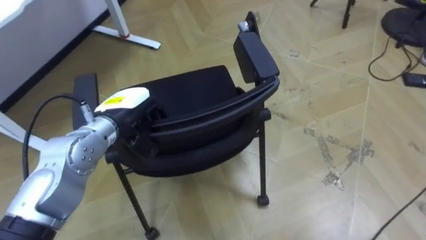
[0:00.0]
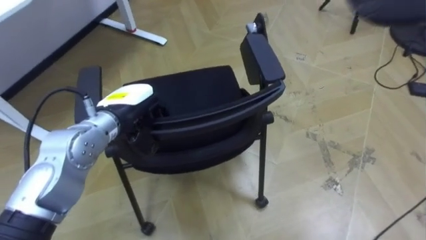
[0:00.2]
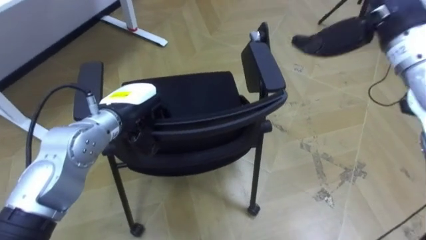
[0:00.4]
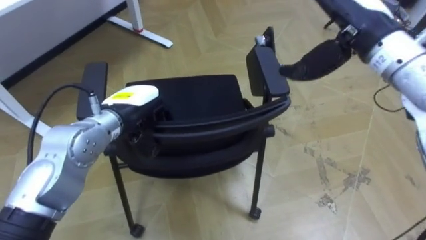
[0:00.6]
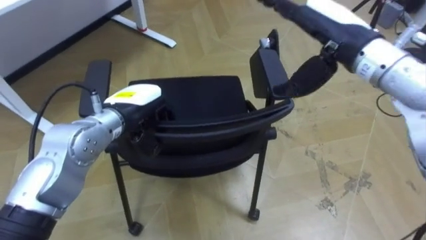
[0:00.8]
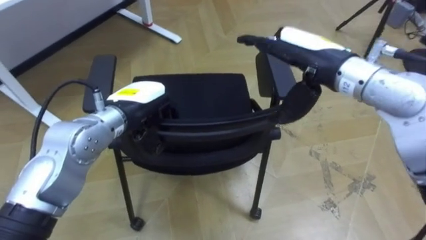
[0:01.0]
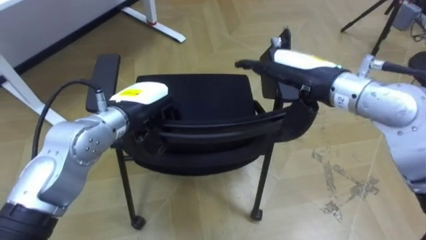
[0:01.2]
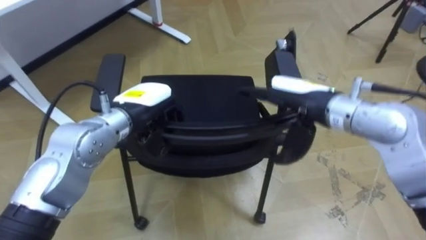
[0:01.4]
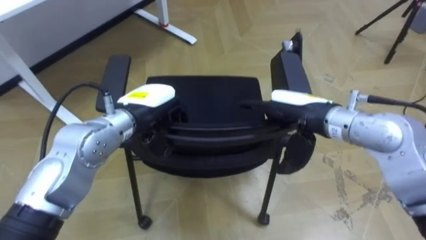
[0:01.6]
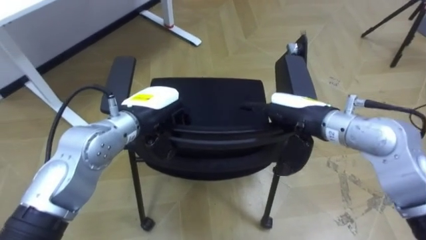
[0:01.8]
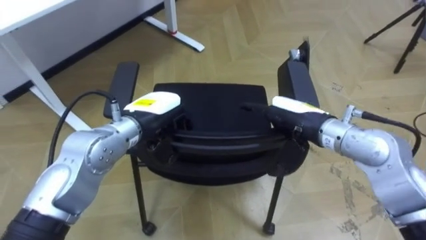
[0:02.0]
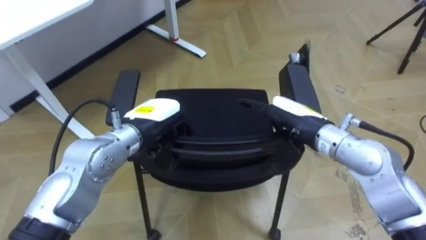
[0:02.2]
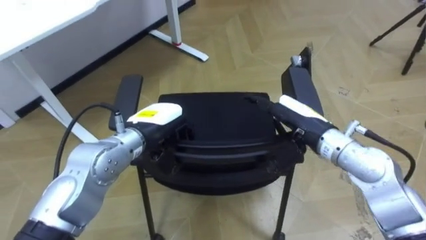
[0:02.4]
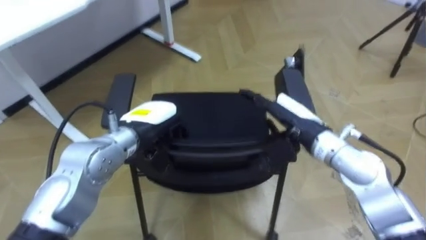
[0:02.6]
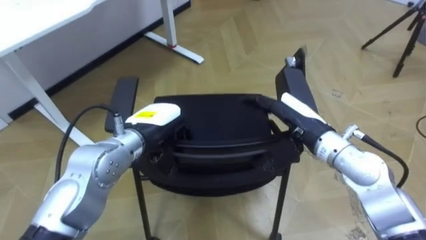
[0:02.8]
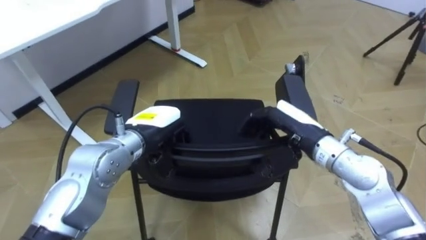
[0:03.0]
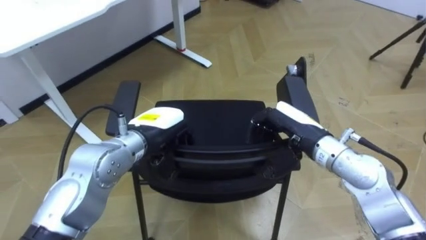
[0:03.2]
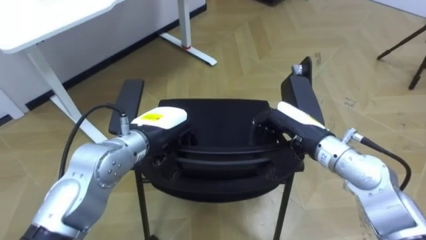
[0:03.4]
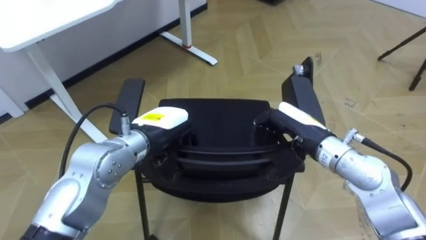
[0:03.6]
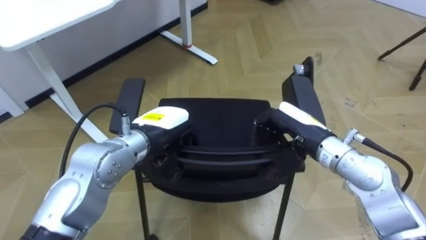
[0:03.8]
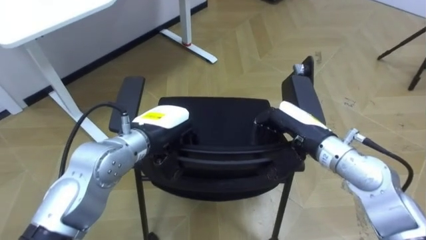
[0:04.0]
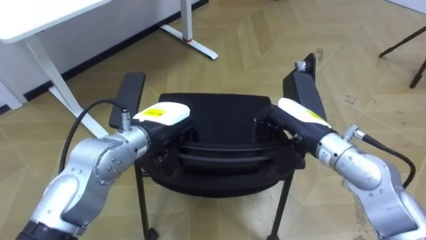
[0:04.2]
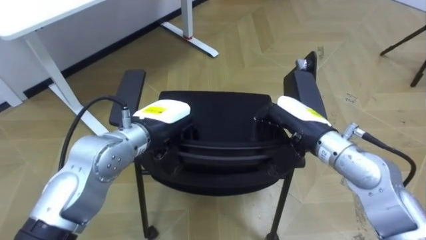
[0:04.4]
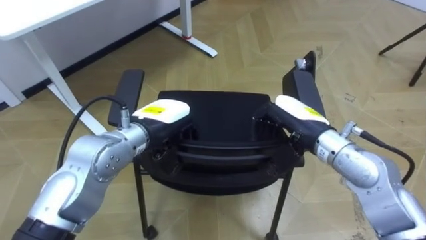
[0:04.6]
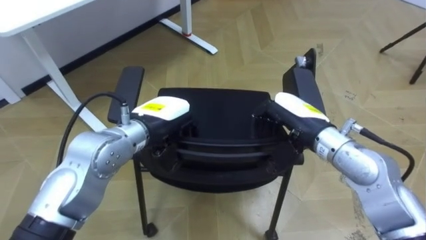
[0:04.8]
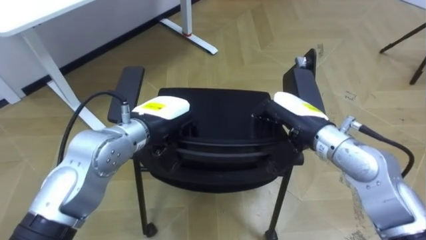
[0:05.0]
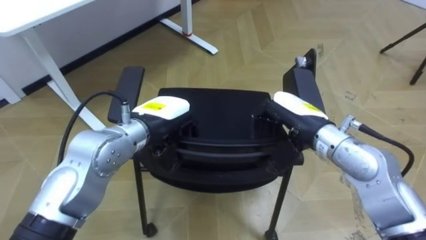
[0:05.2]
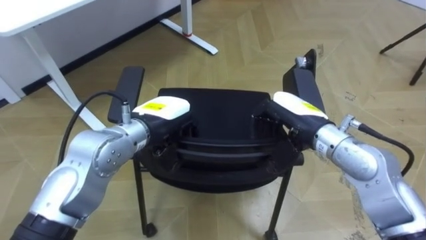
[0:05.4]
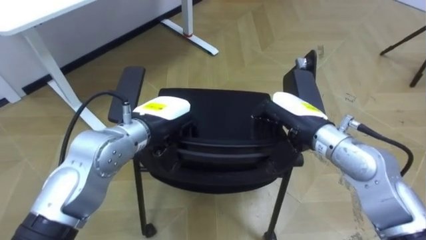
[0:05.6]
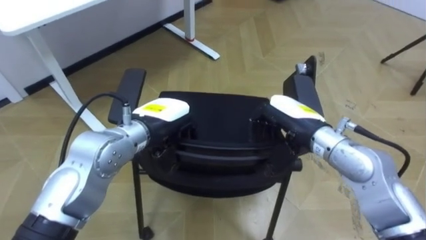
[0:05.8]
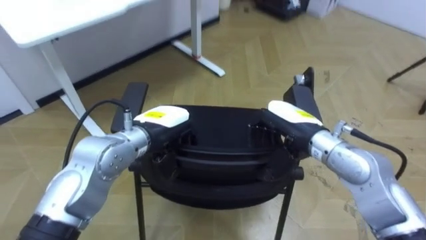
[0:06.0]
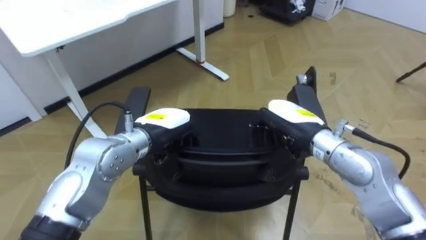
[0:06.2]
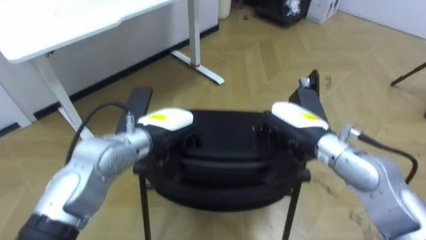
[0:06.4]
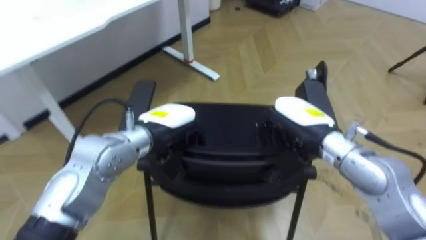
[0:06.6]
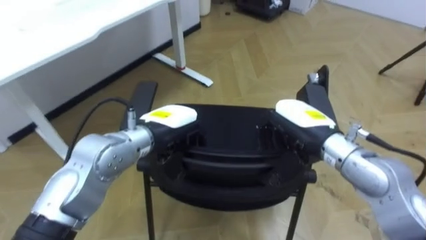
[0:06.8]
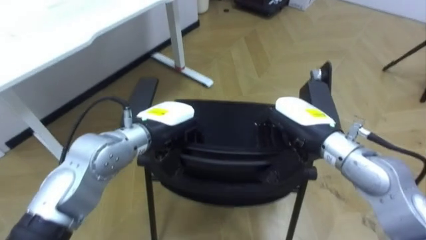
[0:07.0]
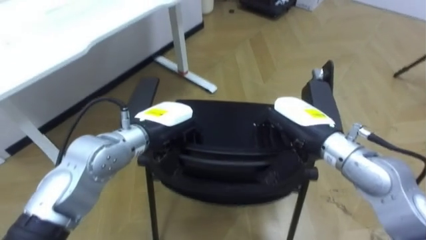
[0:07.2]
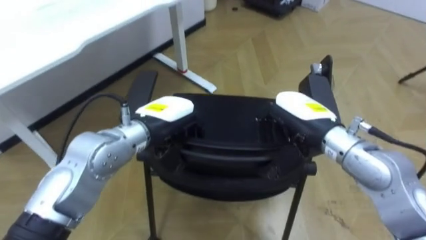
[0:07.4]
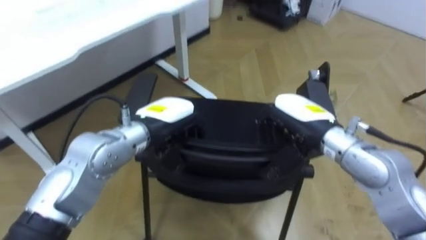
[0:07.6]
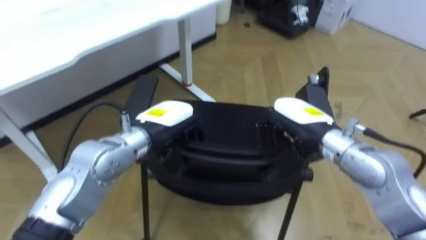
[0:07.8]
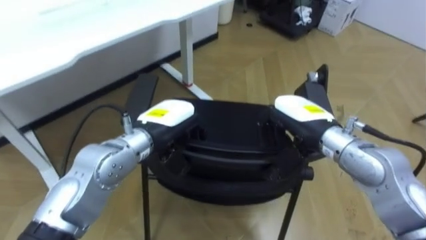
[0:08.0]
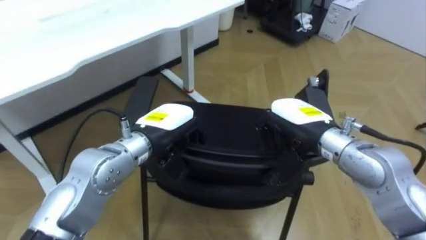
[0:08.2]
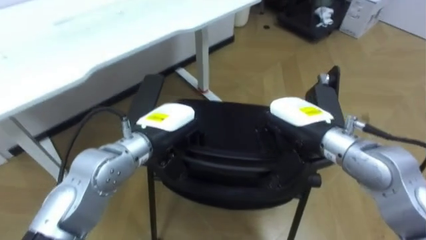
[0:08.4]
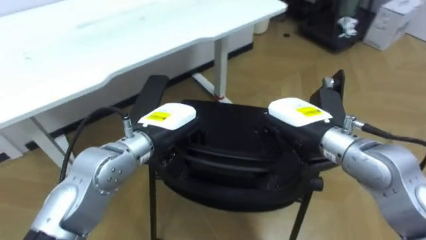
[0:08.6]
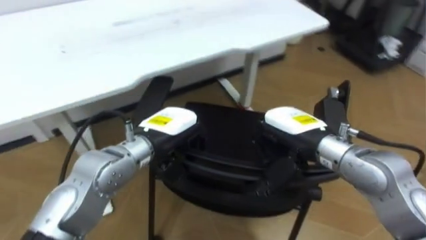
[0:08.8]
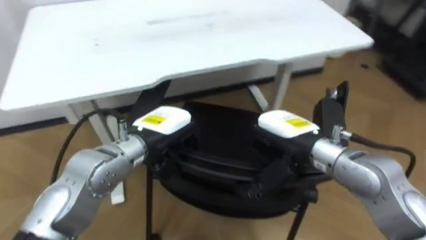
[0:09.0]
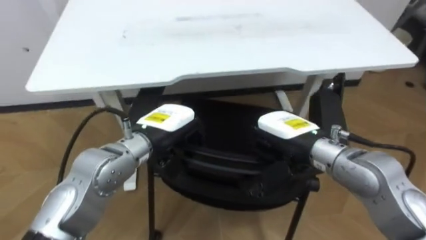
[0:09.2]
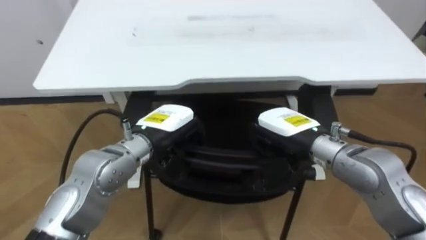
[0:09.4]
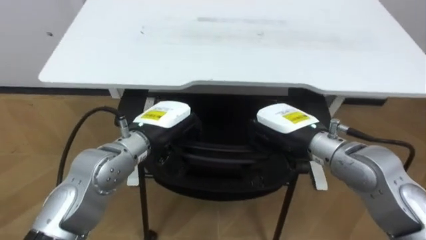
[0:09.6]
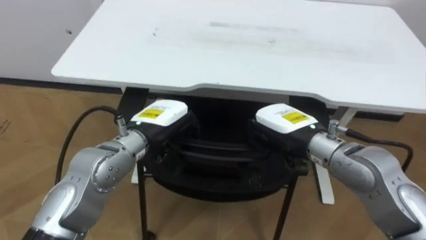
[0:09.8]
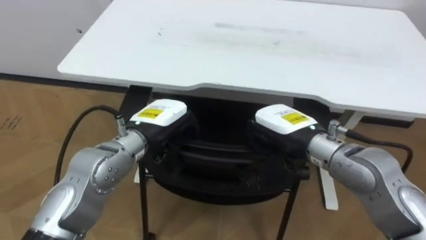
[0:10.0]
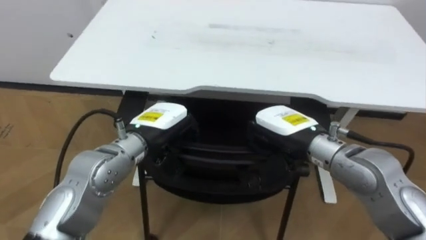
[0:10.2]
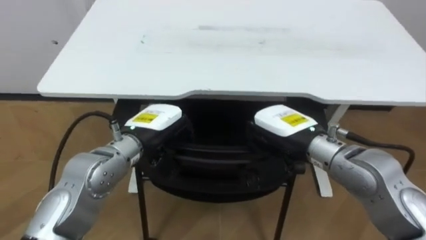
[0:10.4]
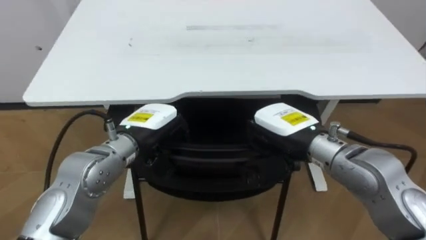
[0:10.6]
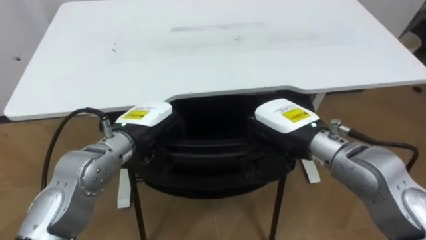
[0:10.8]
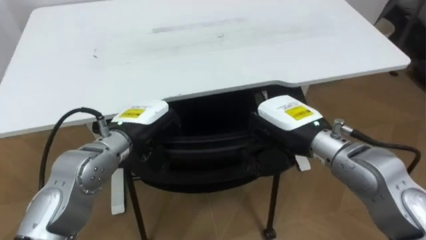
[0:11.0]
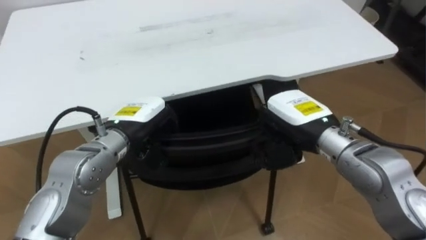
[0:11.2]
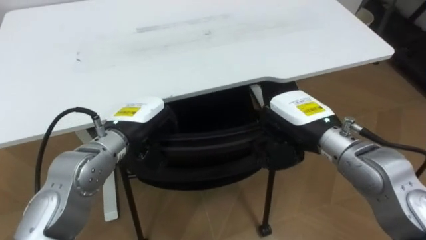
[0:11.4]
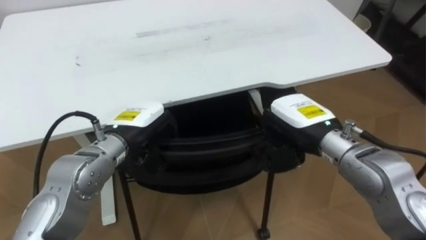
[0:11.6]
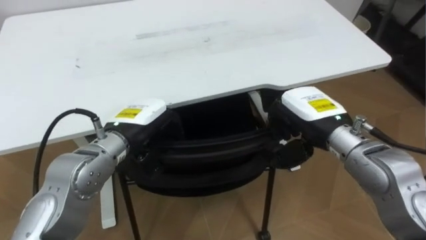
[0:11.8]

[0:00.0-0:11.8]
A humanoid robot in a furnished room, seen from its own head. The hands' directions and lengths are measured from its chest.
Task of the whole recording: Push the chair under the table.
0:01.4 to 0:03.0: The right hand heads downward, covering about 5 cm, and closes up.
0:07.4 to 0:08.8: The robot's body swings some 20 degrees to its left.
0:08.8 to 0:10.4: The robot's body swings some 25 degrees to its left.
0:10.4 to 0:11.8: The robot turns to its right by some 20 degrees.

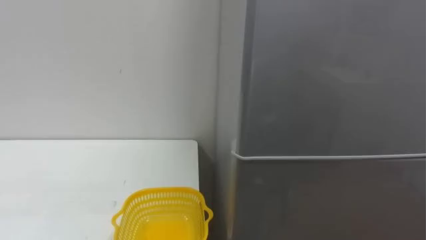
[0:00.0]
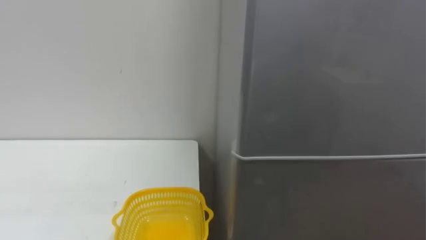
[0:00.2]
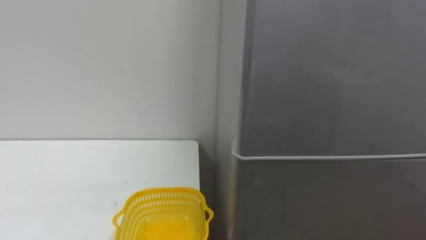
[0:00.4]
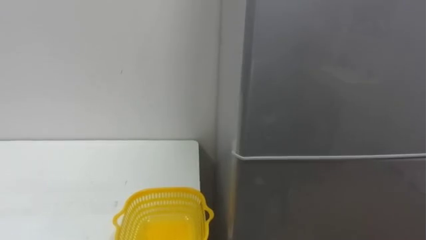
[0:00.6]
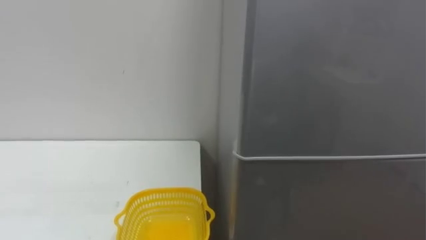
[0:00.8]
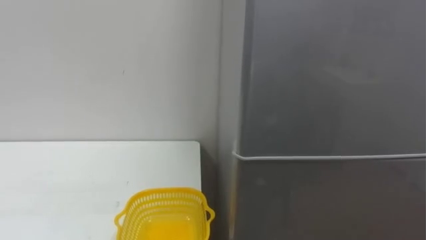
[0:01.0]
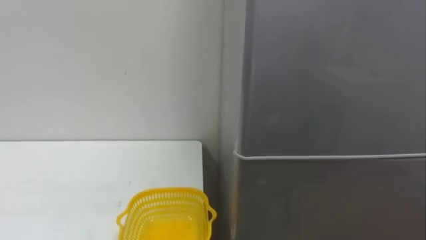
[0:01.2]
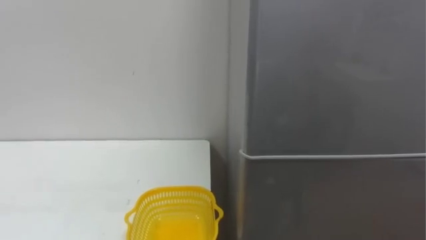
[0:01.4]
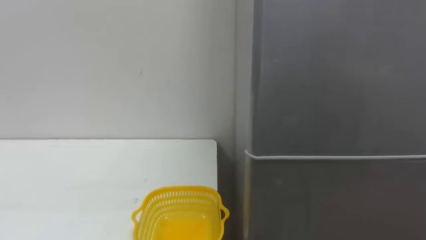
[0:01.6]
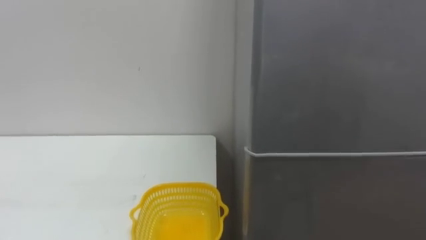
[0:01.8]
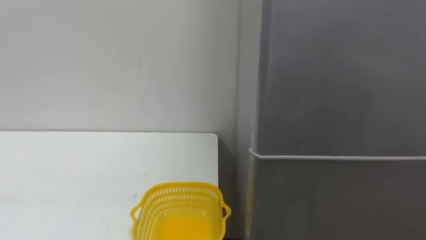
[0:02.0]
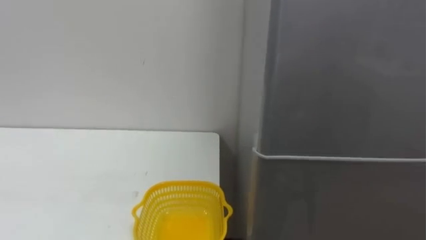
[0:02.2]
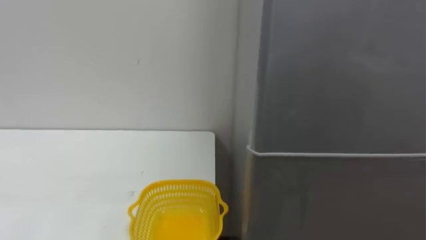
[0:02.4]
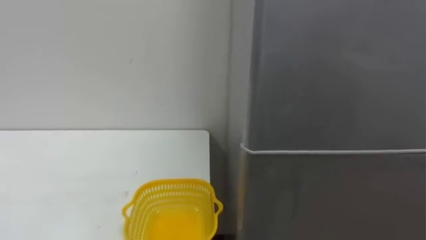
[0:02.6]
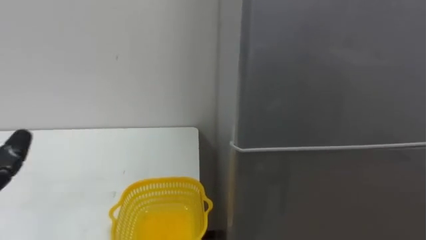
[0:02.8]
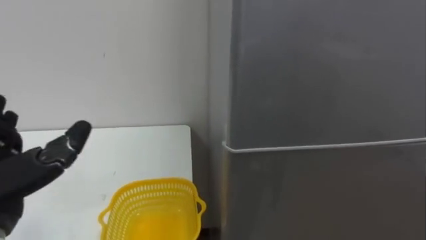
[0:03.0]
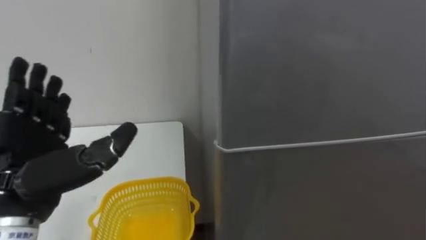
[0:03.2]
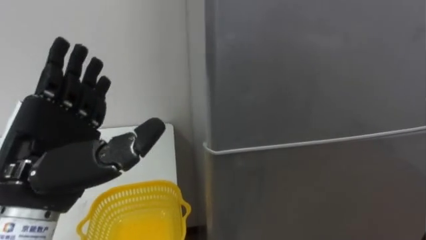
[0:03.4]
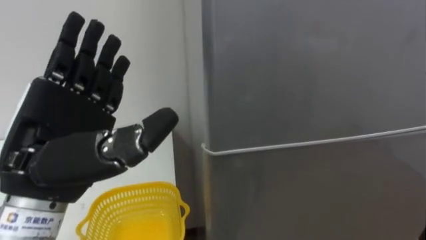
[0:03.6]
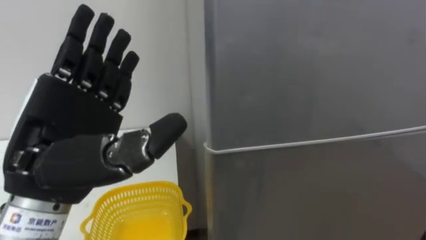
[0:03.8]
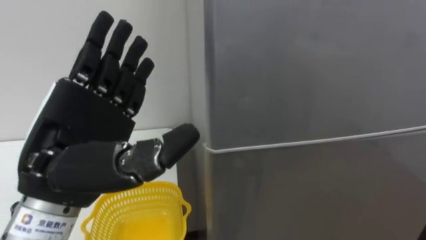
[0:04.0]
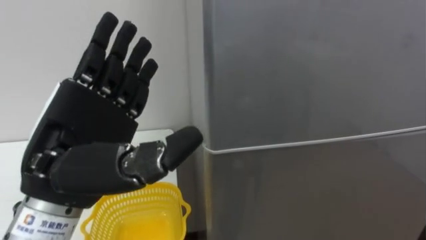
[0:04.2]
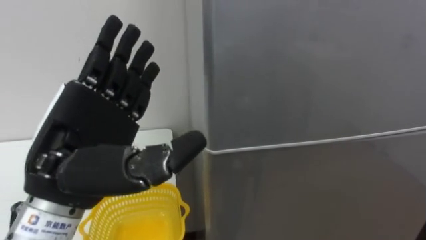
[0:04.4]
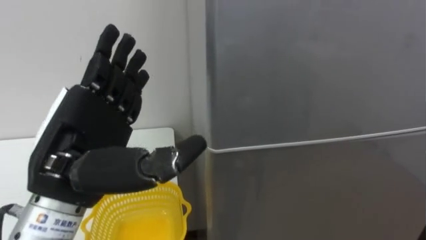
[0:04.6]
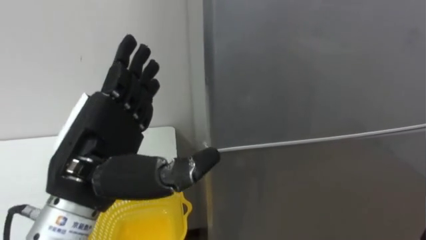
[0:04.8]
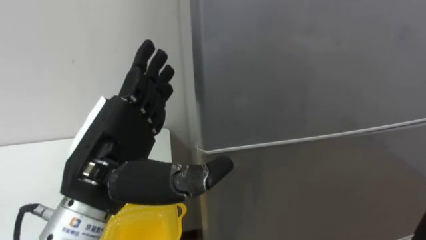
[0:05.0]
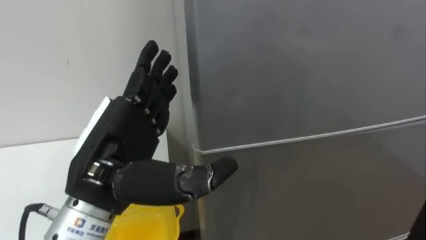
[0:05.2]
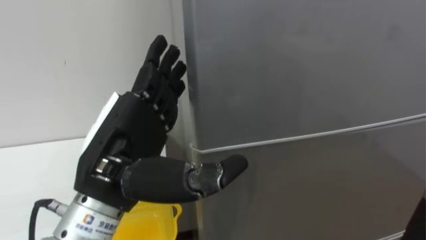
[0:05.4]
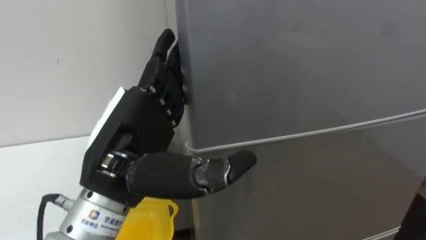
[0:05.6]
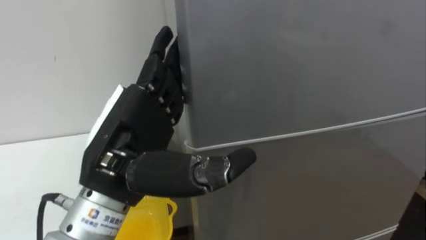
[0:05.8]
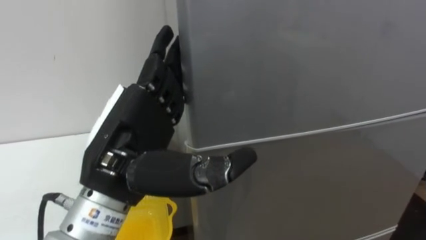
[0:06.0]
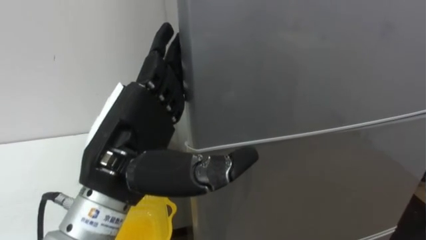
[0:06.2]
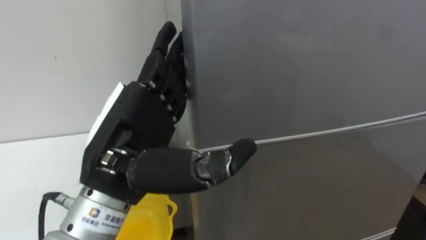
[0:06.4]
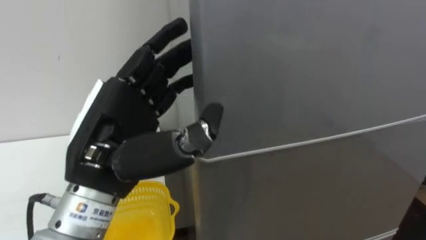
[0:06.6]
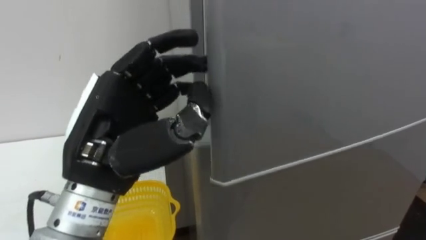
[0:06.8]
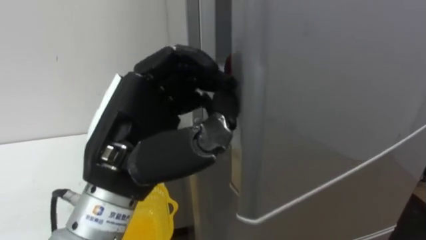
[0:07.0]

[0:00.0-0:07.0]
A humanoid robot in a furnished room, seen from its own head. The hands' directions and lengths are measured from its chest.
Task of the whole recording: Open the refrigerator door, take out the apple and the pomegranate, place them in the fruit basket on the left, and close the refrigerator door.
0:05.6 to 0:07.0: The left hand closes up.
